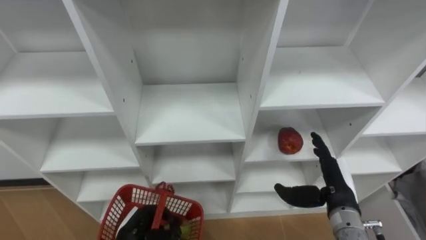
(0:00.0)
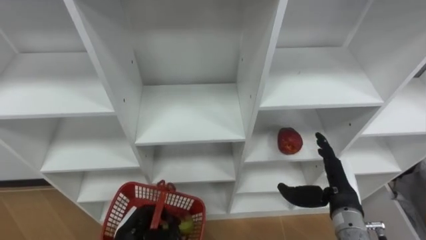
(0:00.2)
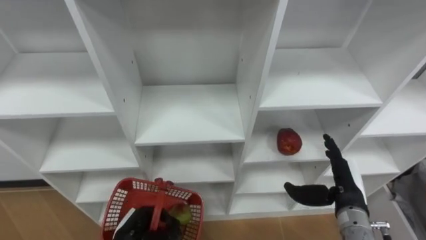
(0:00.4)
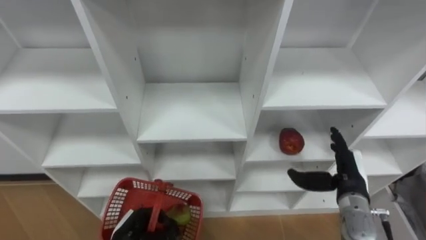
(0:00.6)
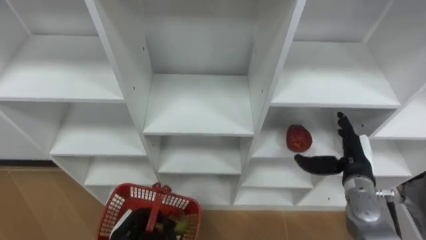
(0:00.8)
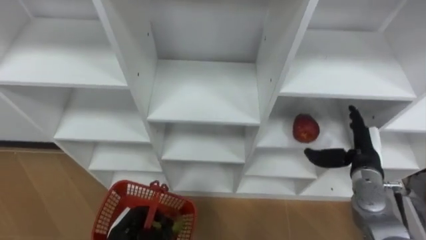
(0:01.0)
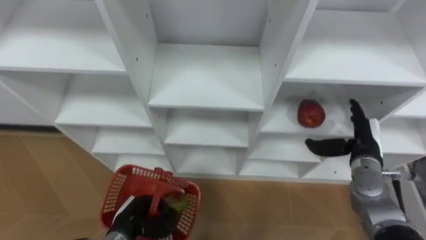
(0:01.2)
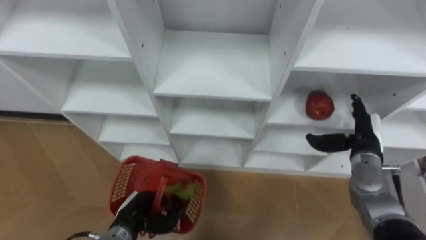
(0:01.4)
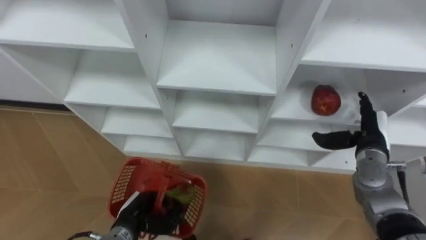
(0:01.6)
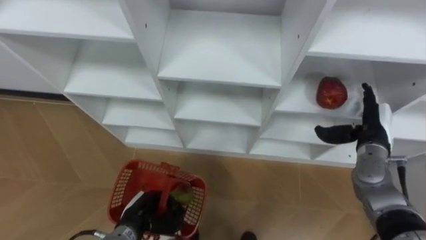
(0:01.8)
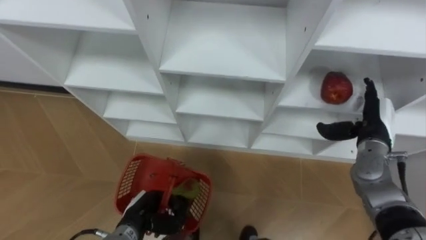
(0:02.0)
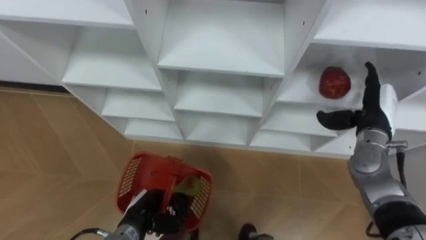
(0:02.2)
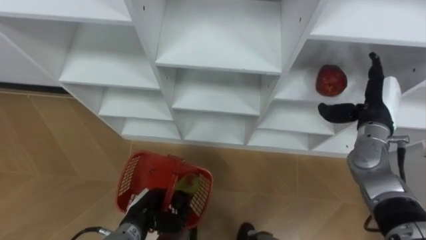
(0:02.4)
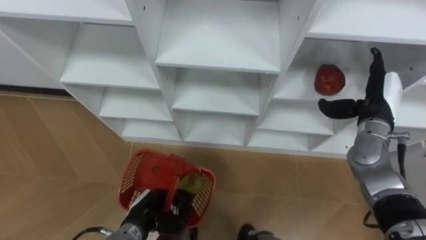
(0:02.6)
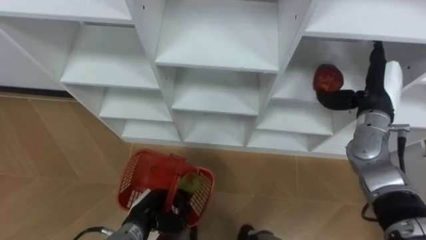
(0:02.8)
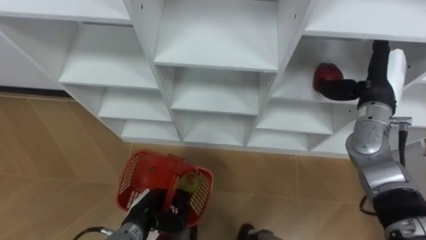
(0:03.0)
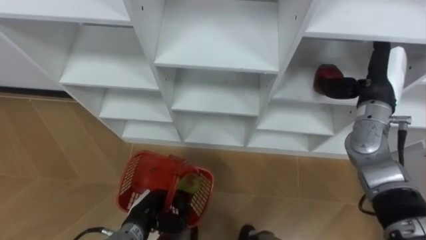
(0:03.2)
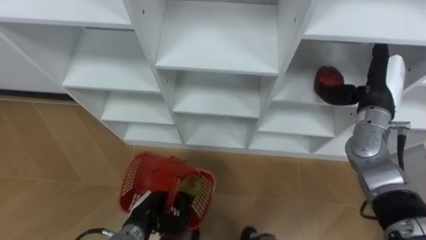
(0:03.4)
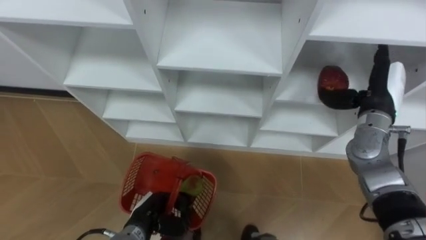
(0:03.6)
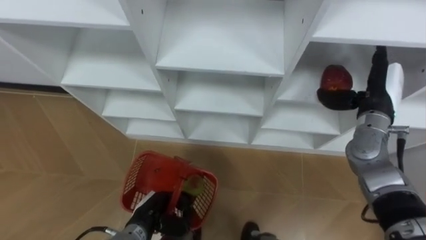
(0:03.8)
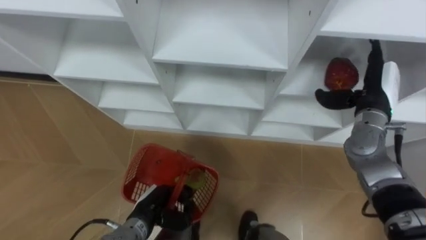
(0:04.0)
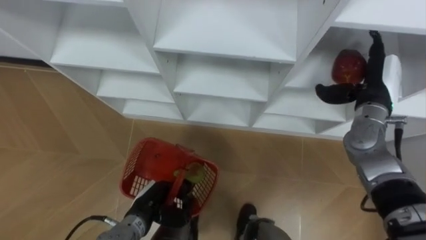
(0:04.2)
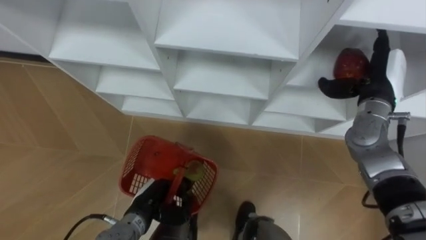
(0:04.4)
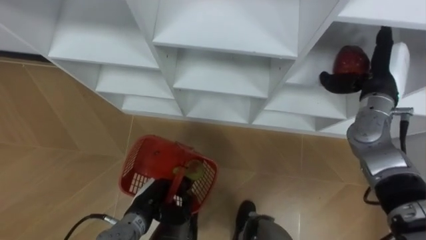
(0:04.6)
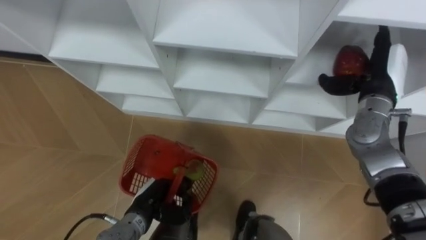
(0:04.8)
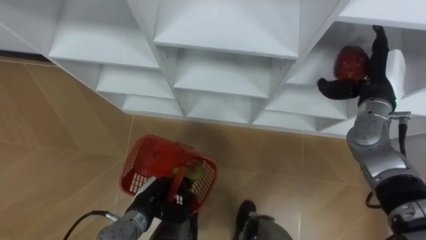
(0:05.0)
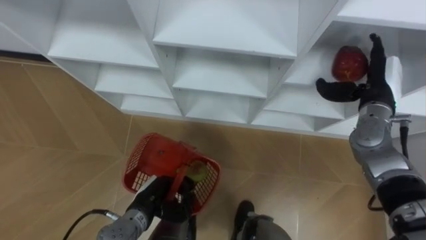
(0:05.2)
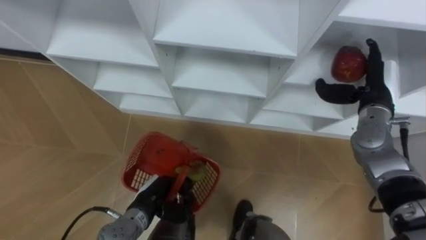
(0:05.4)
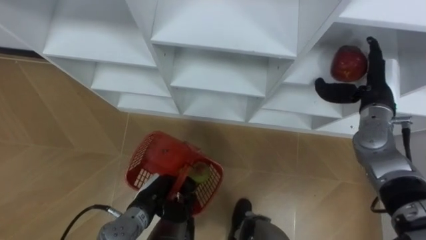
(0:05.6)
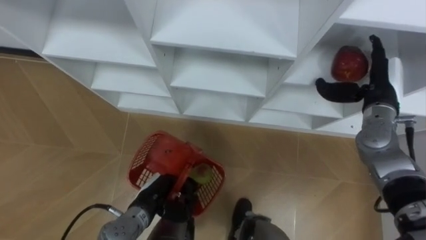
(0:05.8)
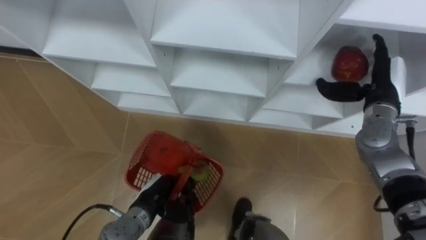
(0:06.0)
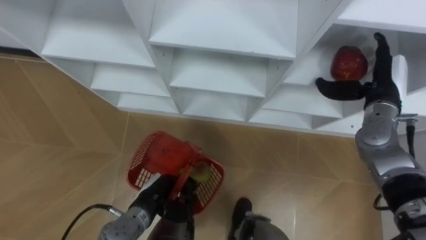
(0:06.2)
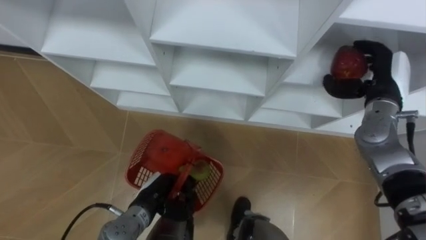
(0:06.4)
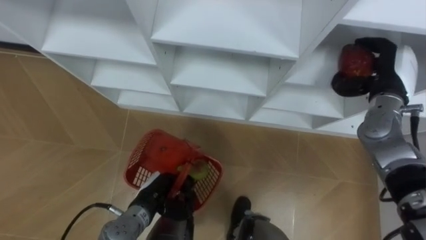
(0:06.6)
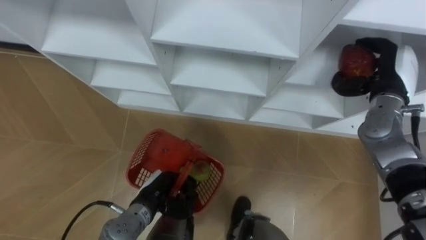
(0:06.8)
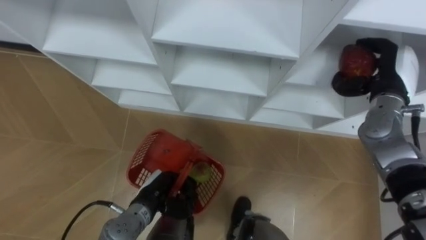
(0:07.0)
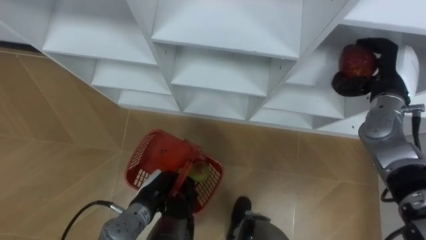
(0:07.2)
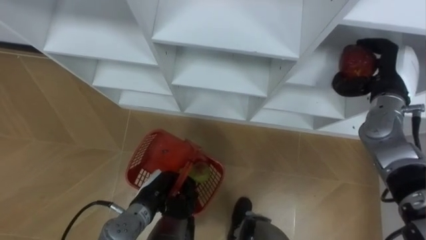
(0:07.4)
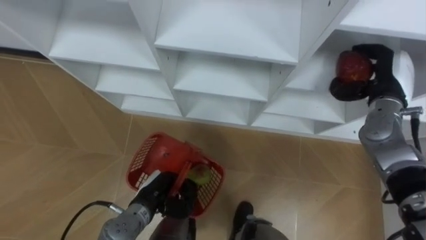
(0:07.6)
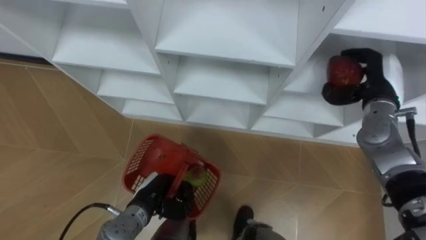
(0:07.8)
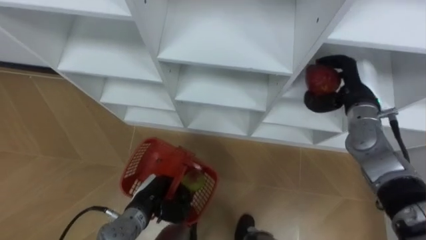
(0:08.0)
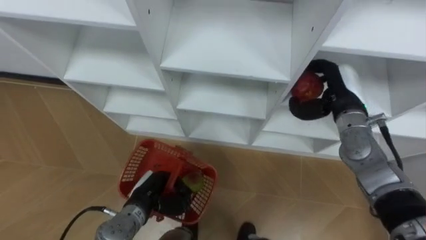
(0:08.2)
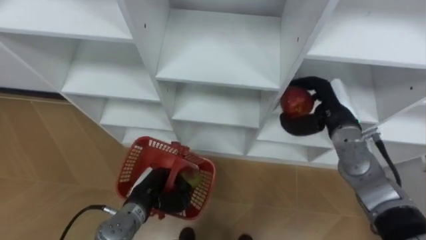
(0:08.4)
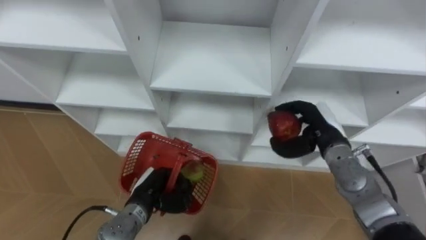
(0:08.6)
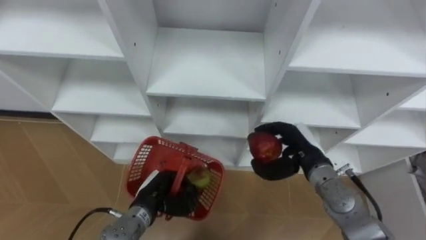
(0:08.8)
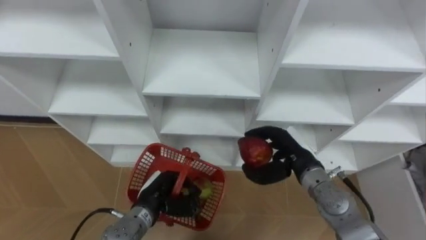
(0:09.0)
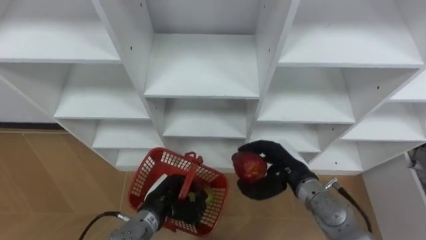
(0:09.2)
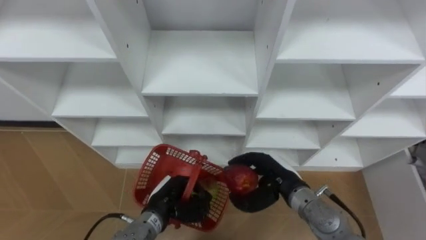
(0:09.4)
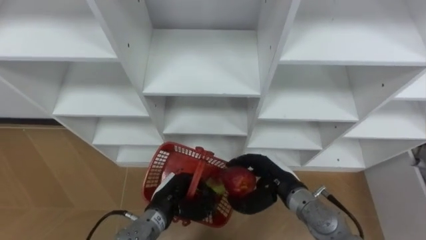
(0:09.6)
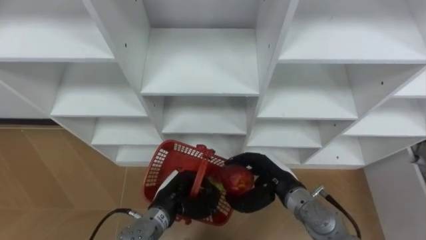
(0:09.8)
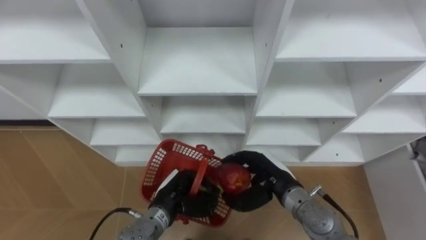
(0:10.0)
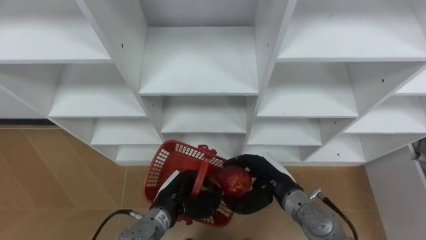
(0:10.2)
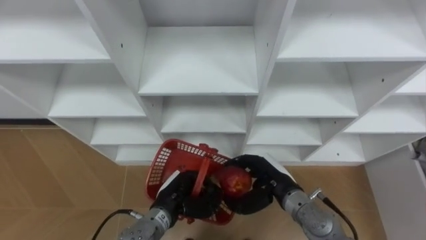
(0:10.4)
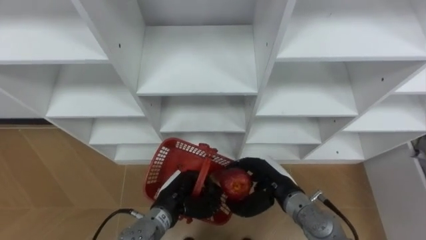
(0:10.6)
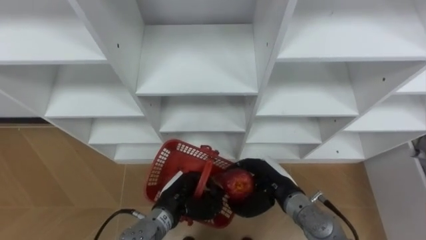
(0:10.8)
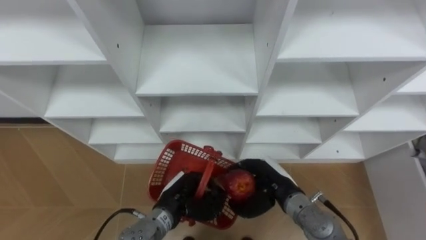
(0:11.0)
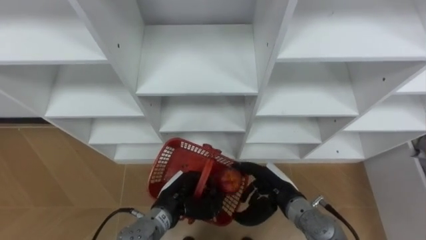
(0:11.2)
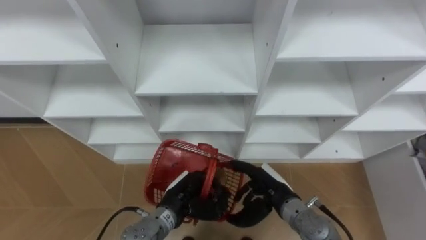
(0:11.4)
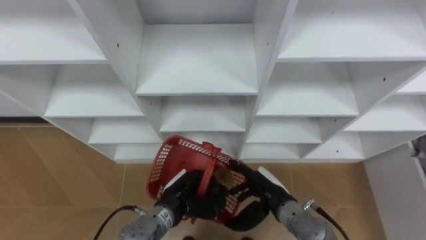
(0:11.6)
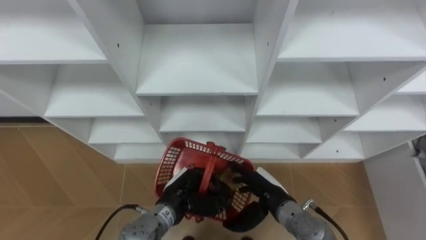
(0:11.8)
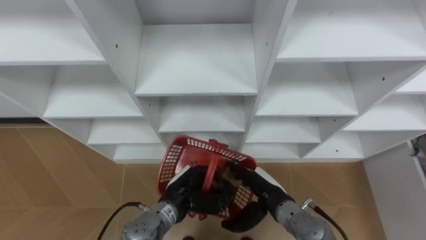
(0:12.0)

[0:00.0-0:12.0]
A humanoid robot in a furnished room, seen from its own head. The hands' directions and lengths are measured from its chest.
Task of the whole recording: Hold the basket and collect the fruits from 3 different cells of the closet into it.
0:00.0 to 0:01.6: The right hand shifts about 10 cm forward and to the right.
0:01.6 to 0:03.0: The right hand travels upward by some 10 cm.
0:06.0 to 0:07.6: The right hand closes its fingers.
0:07.6 to 0:09.0: The right hand heads to the left, downward and backward, covering some 20 cm.
0:09.0 to 0:10.4: The right hand shifts by about 5 cm.
0:10.4 to 0:12.0: The right hand opens up.

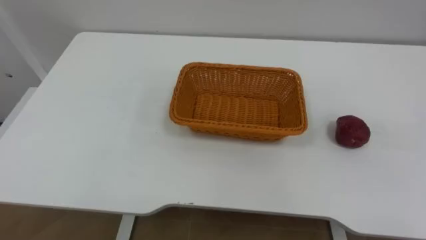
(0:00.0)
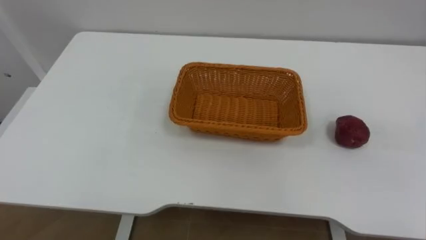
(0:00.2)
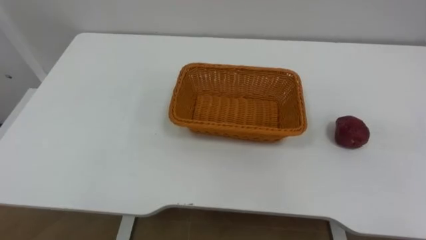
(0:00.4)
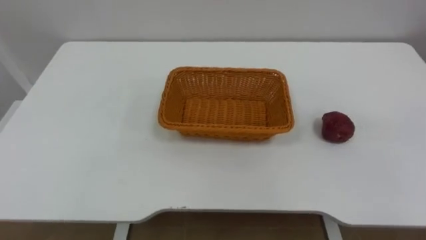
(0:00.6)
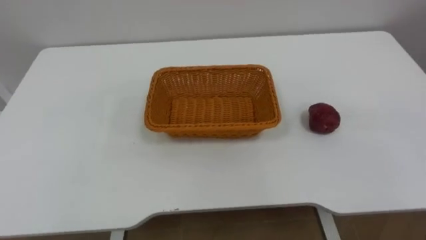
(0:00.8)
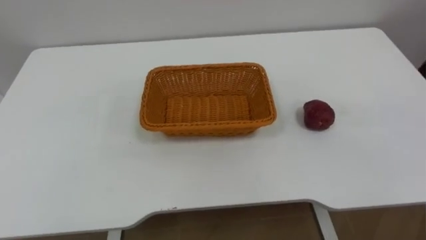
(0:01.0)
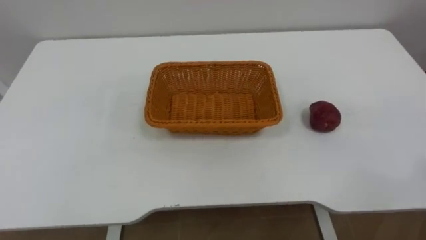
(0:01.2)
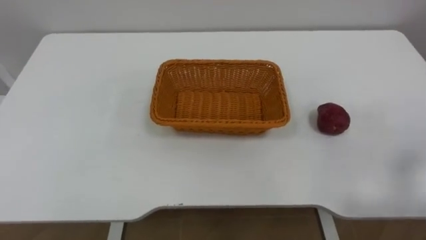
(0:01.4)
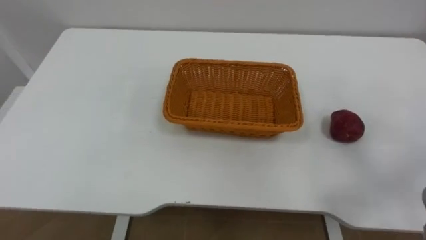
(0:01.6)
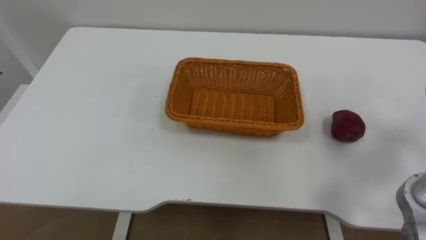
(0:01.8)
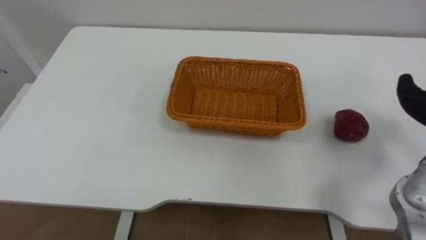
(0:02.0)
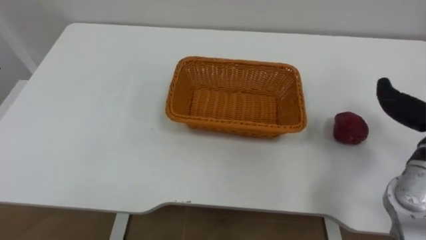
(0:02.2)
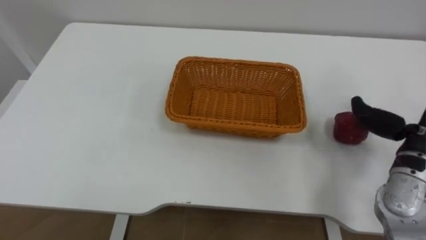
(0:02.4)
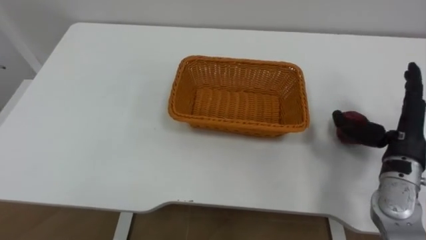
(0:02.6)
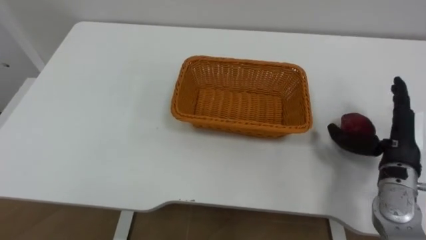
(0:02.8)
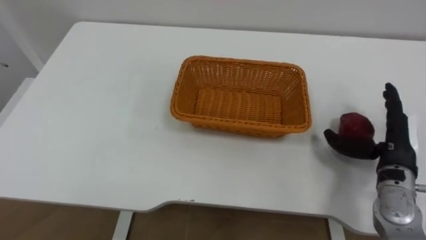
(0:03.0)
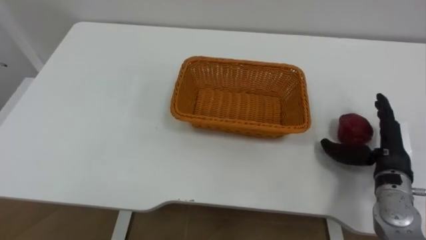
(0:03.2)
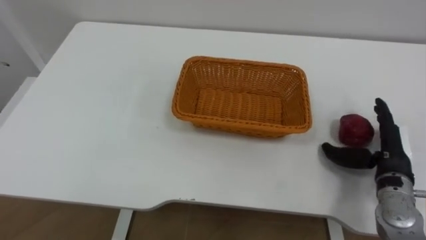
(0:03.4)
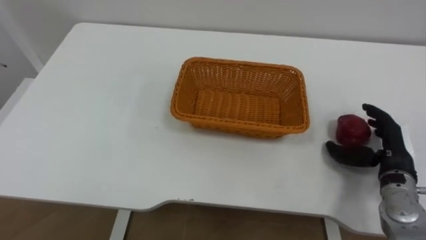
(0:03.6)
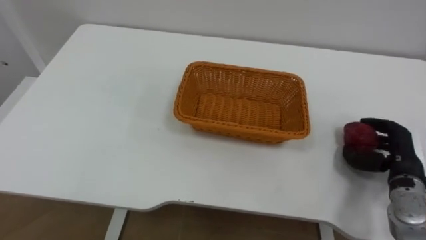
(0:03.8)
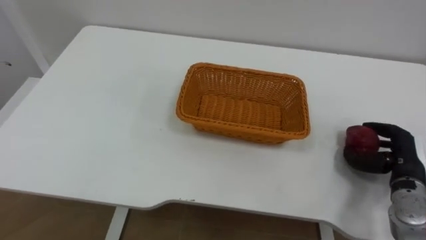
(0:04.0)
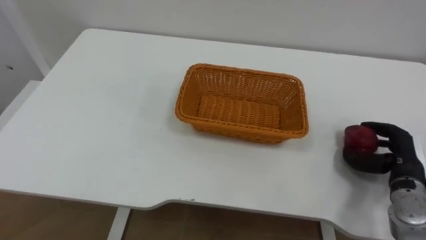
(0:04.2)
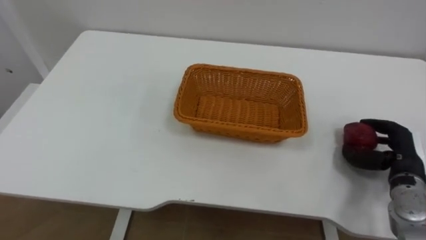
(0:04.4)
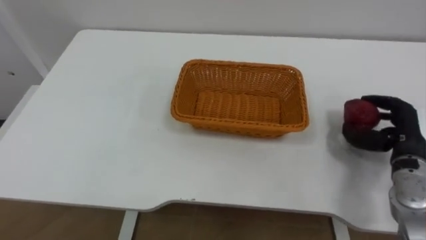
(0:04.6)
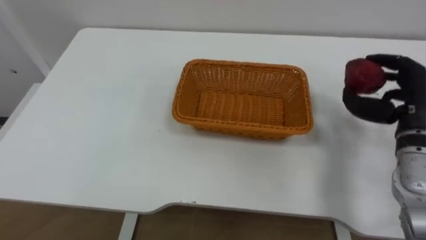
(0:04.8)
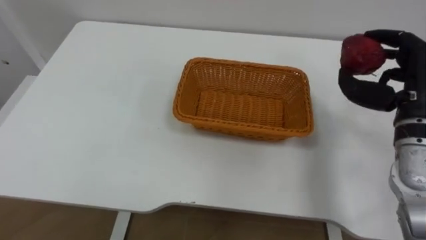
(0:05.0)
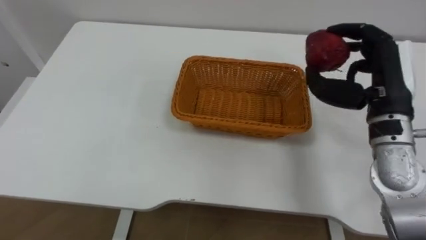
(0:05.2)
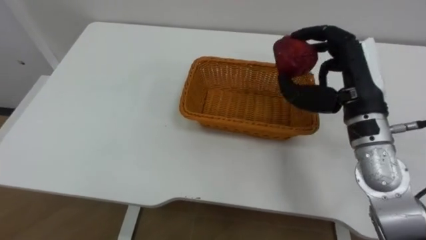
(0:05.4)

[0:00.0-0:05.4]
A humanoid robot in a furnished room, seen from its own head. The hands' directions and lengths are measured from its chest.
Task of the whole recording: Pick the apple and place it in the box.
0:02.8 to 0:04.0: The right hand travels downward by some 5 cm, and closes up.
0:04.0 to 0:05.4: The right hand shifts roughly 25 cm upward and to the left.
